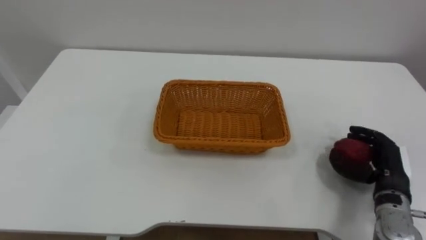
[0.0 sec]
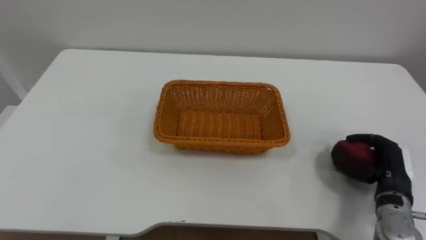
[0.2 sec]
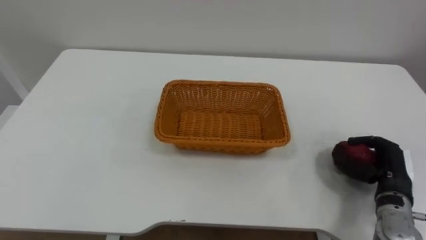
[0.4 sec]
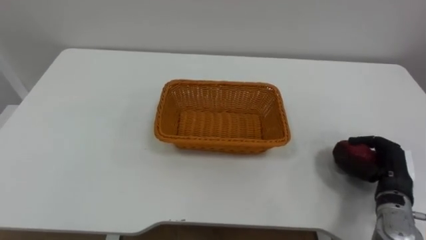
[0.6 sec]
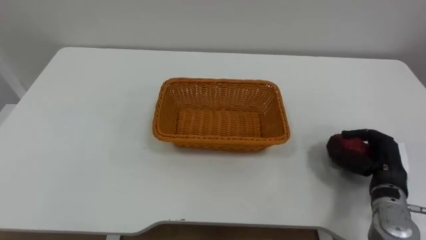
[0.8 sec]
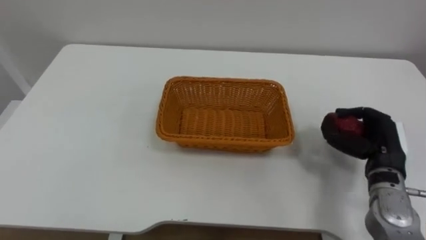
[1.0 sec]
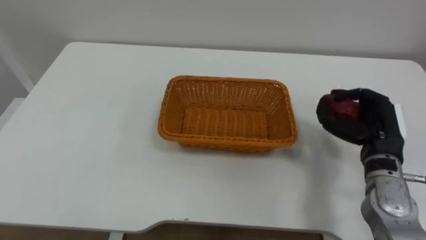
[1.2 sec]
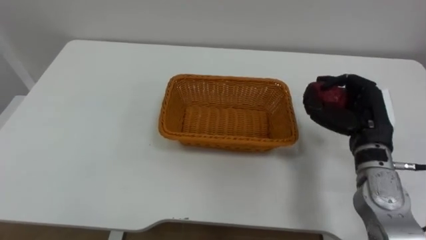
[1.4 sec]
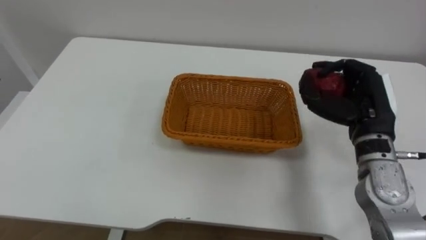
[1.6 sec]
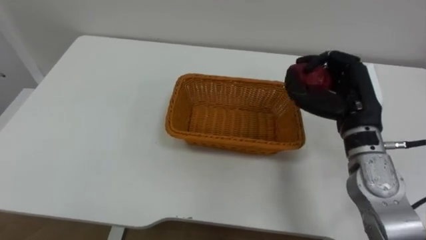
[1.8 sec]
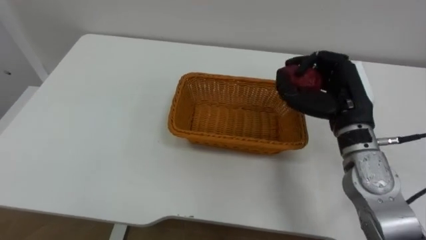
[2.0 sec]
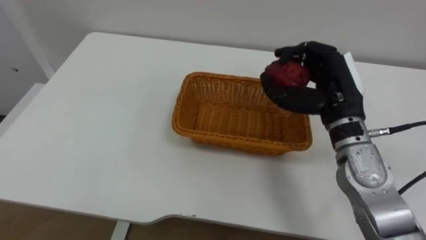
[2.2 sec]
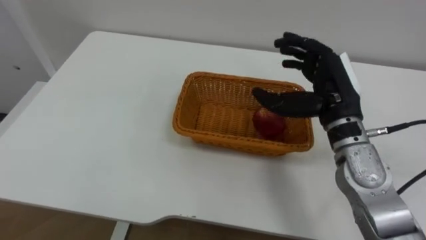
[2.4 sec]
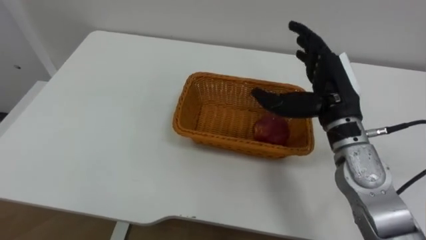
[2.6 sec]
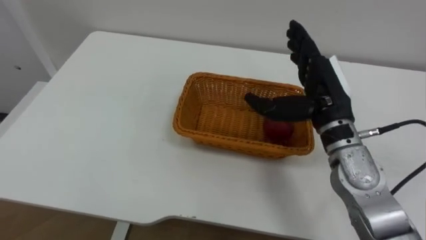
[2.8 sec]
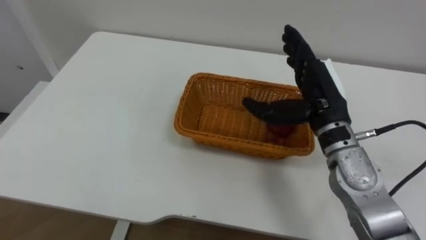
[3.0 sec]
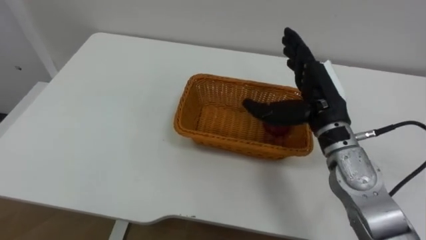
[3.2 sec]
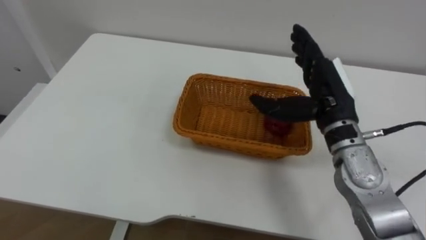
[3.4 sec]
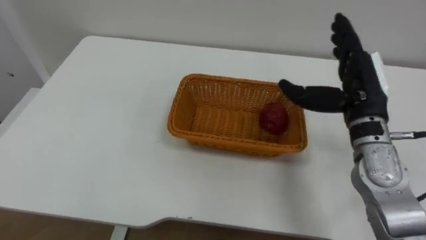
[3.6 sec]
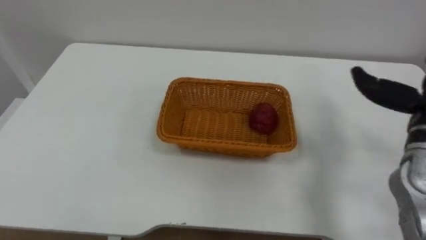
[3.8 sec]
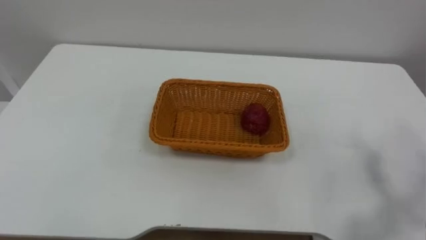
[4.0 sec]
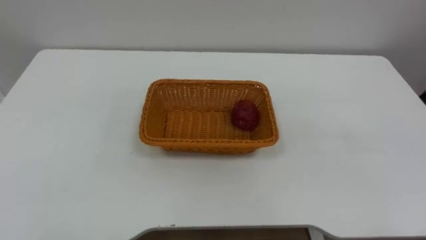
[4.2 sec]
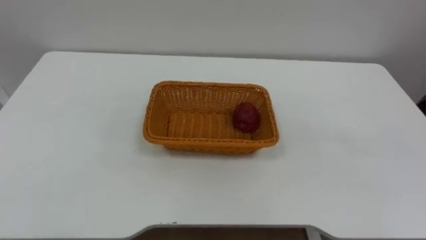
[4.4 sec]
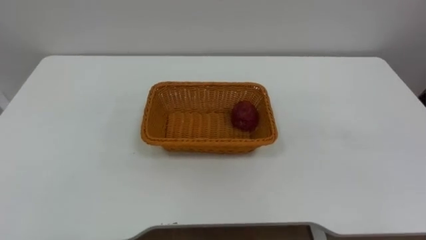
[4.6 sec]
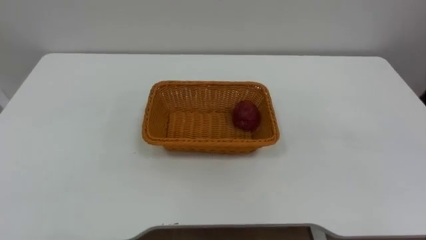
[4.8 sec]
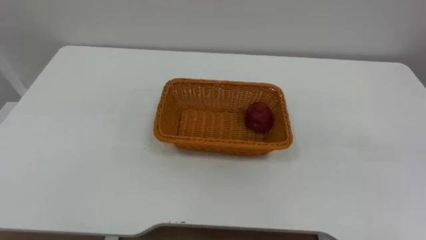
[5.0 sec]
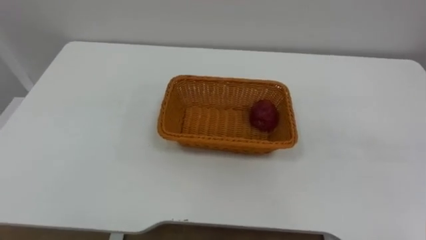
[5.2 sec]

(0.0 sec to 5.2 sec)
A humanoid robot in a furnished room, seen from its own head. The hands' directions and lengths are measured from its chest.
Task of the whole recording: Pick the apple and place it in the box.
0.0 sec - 1.8 sec: The right hand travels upward, to the left and forward by about 20 cm.
1.8 sec - 3.4 sec: The right hand opens up.

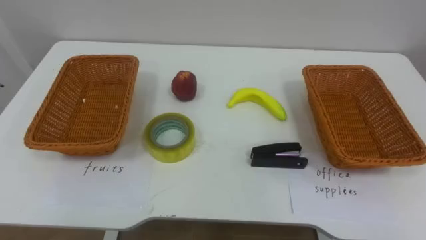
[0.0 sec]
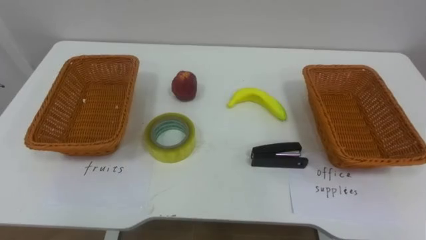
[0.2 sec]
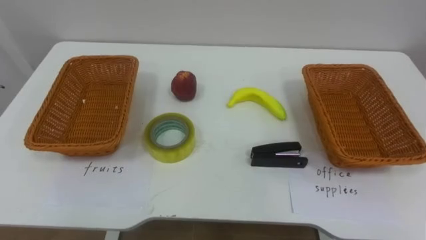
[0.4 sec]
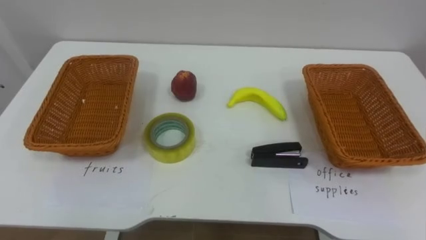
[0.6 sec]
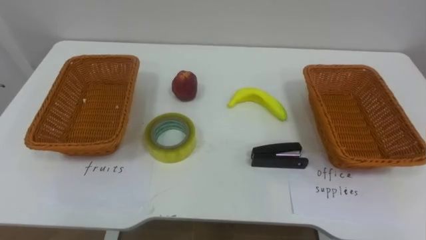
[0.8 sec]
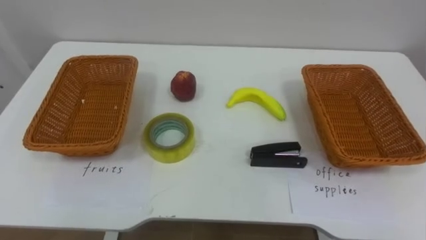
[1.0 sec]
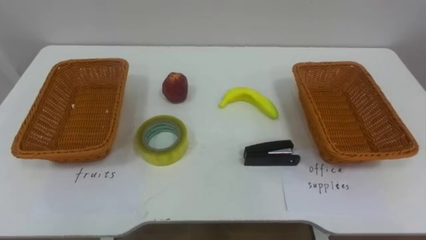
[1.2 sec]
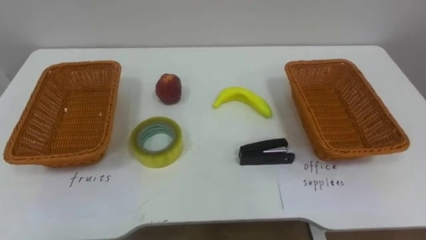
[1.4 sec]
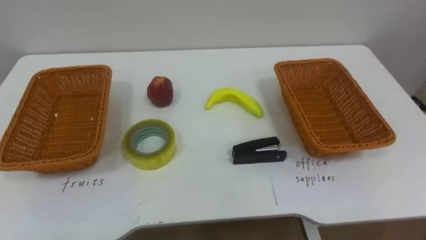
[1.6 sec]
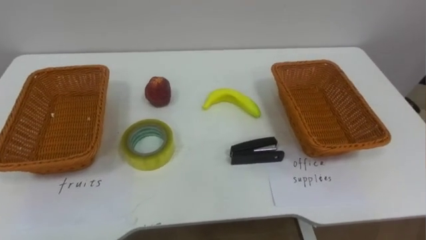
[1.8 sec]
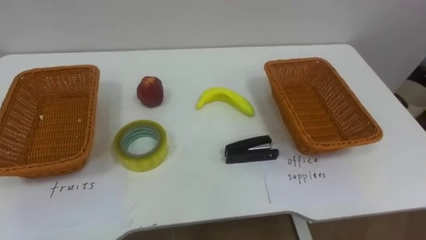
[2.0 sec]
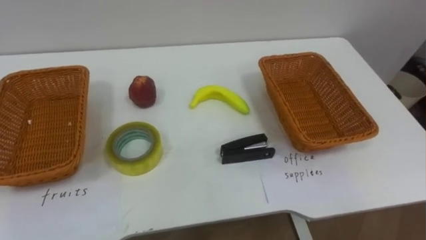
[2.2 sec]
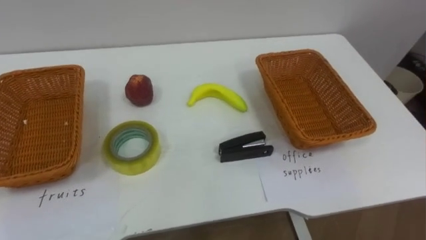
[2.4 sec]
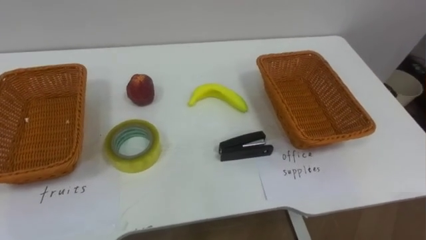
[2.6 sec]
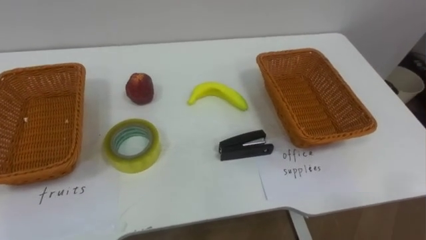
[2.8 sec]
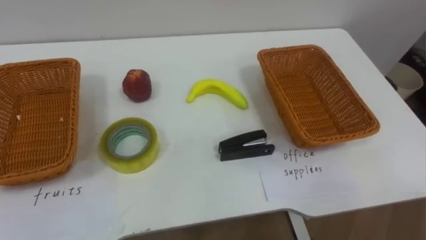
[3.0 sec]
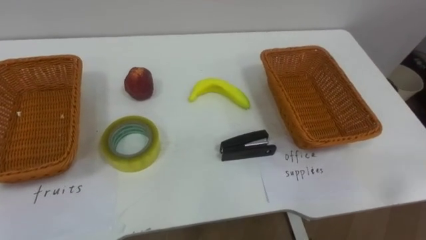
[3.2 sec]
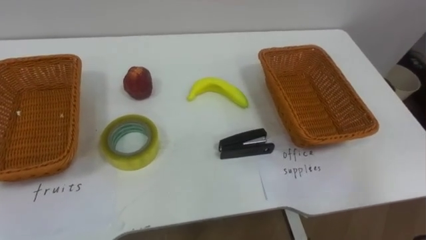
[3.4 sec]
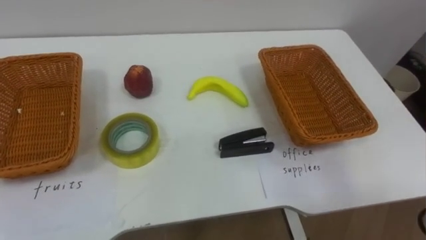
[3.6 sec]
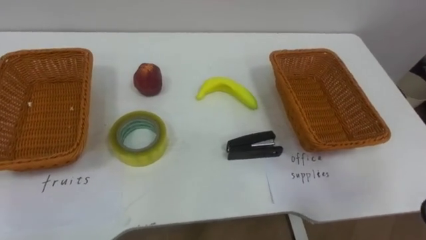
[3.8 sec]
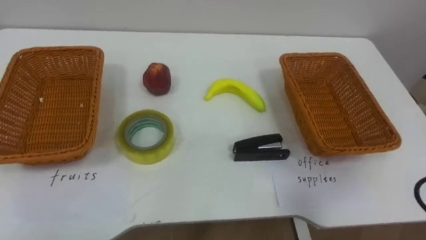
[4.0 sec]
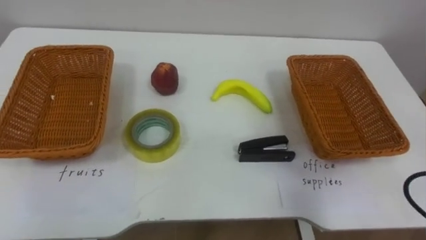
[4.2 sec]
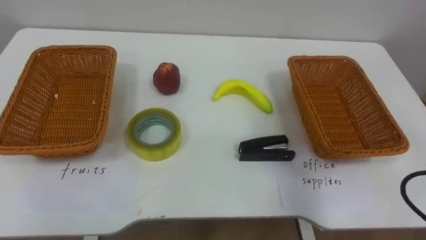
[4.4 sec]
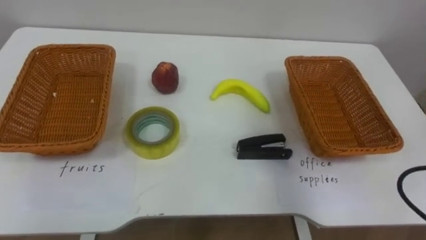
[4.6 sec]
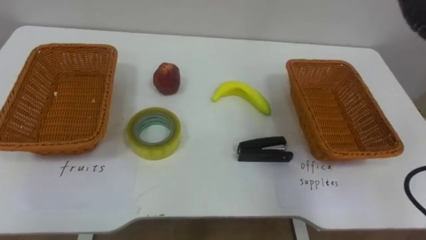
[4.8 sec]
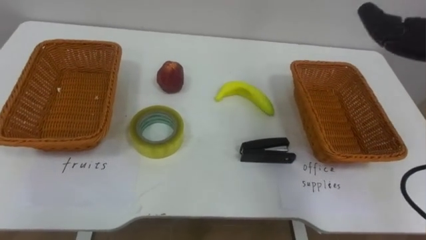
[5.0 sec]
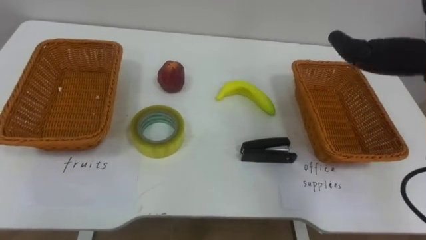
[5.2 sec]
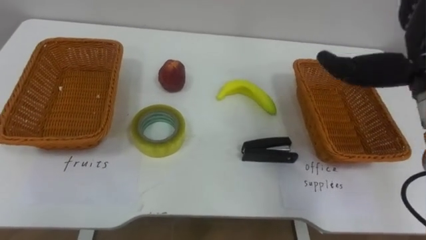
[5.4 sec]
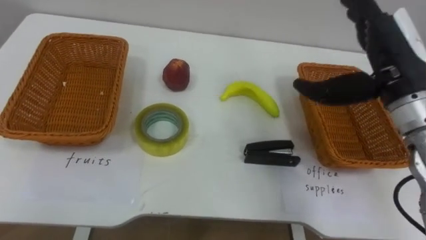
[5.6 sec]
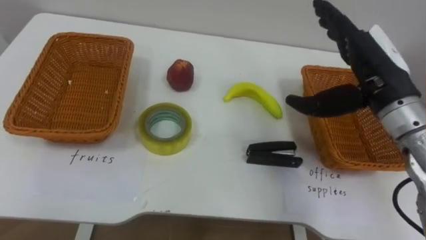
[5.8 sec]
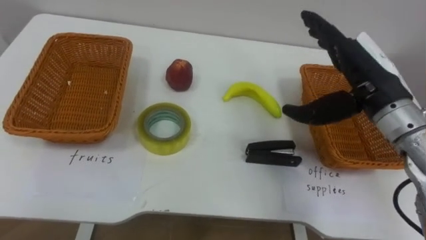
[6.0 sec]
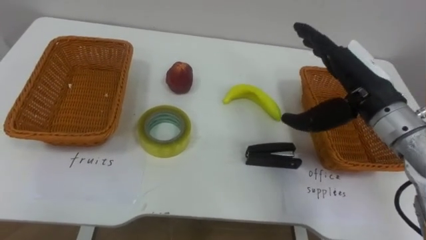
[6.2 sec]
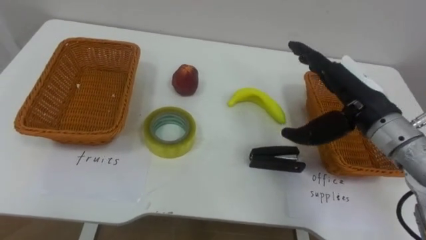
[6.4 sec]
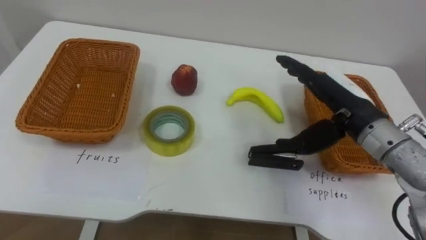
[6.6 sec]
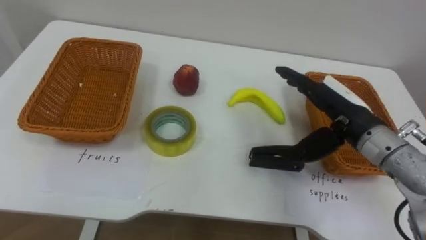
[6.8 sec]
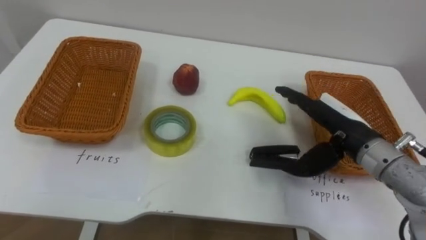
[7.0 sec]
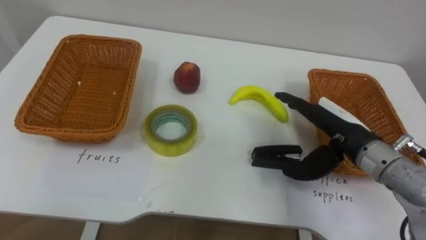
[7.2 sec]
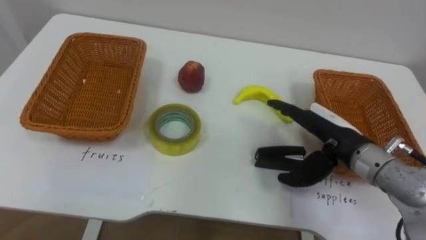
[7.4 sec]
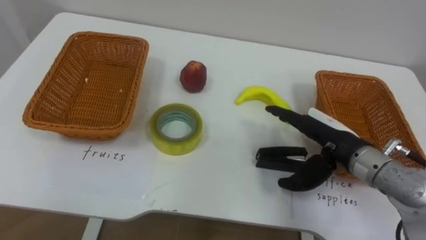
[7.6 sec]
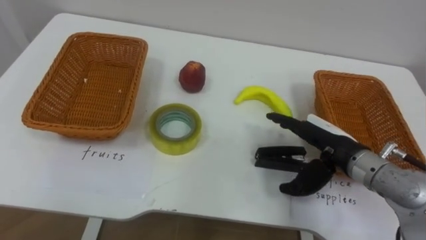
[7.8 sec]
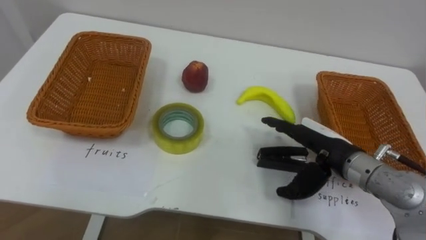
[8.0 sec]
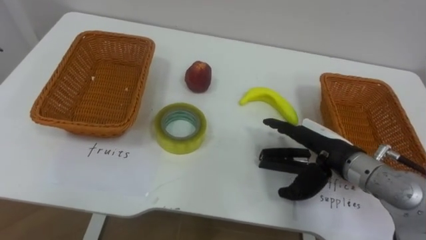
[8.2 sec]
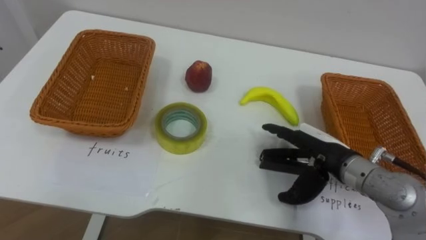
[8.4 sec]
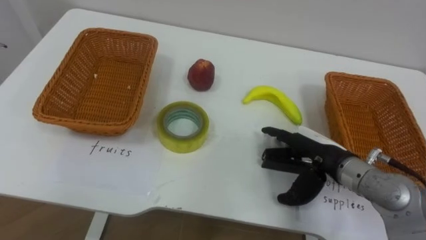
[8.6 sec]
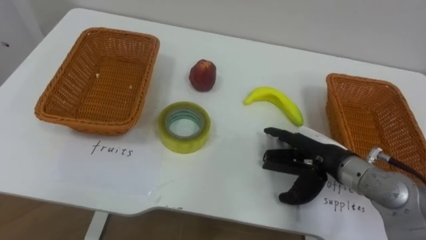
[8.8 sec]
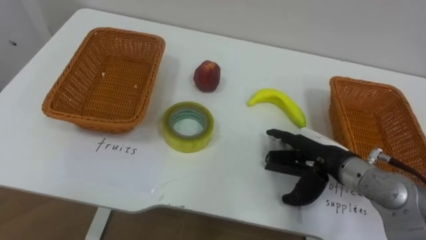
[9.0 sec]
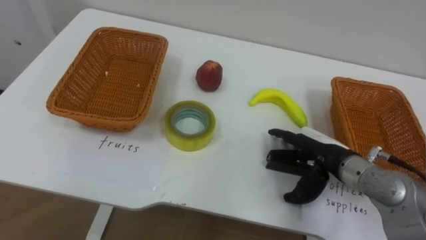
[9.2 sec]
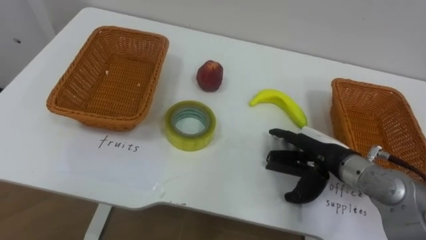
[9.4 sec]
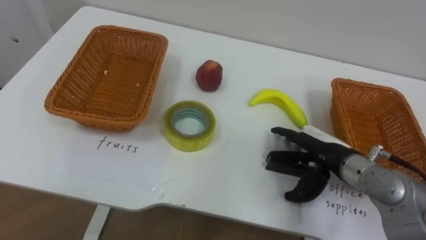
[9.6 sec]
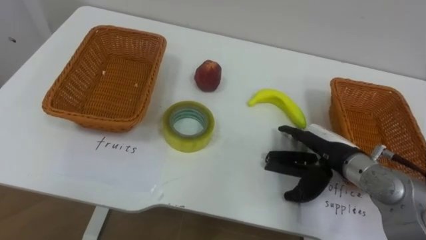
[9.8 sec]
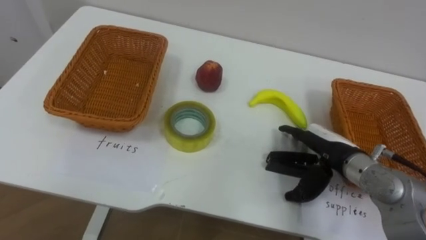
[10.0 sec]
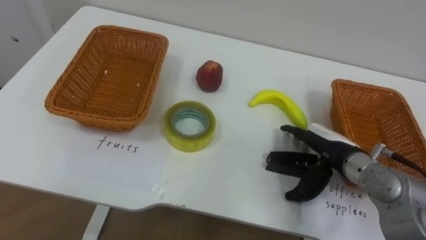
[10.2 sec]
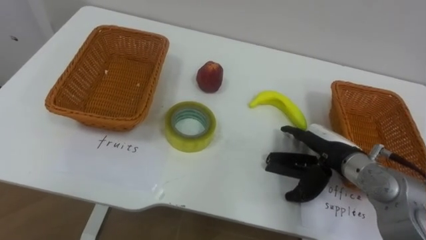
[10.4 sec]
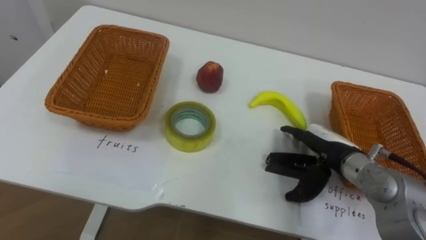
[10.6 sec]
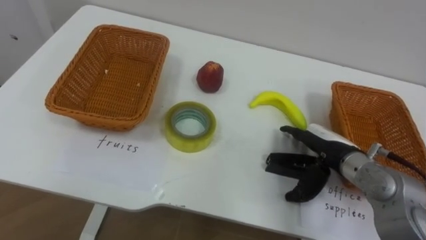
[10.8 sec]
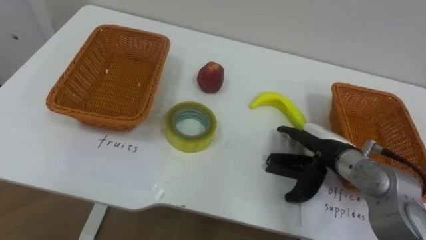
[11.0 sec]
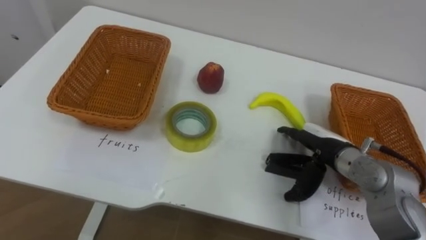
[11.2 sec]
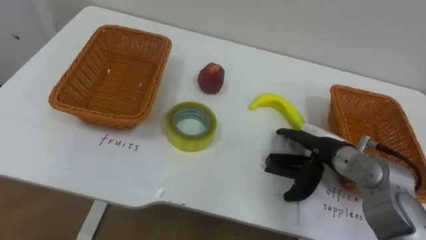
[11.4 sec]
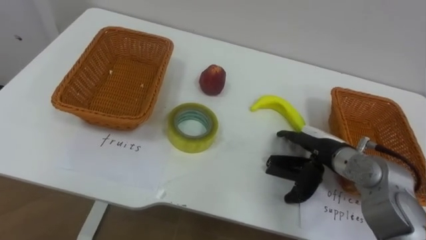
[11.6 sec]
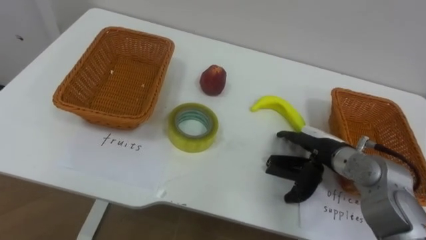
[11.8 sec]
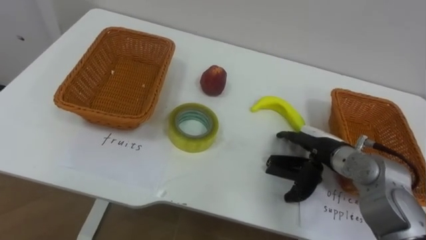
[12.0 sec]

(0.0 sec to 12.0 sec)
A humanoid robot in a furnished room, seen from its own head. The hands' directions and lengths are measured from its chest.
Task of the whole recording: Separate the items on the table and place them into the two baskets.
6.0 sec - 7.6 sec: The right hand travels downward by approximately 10 cm.
